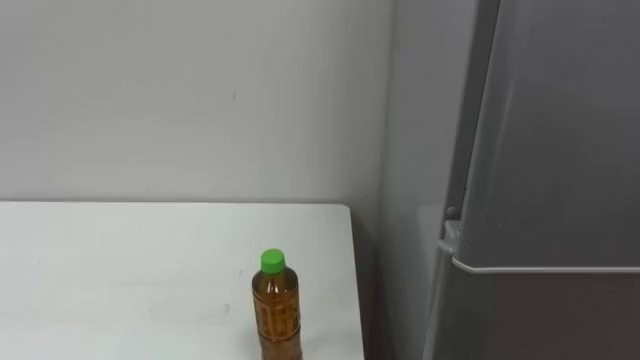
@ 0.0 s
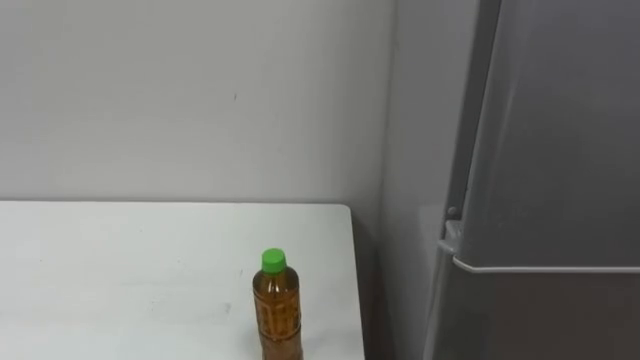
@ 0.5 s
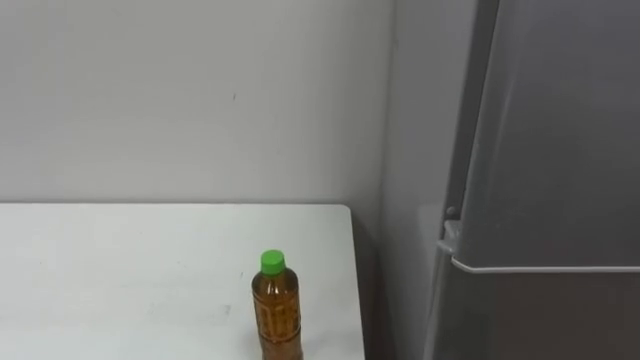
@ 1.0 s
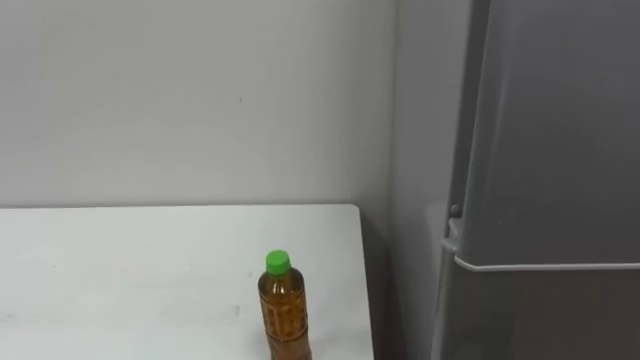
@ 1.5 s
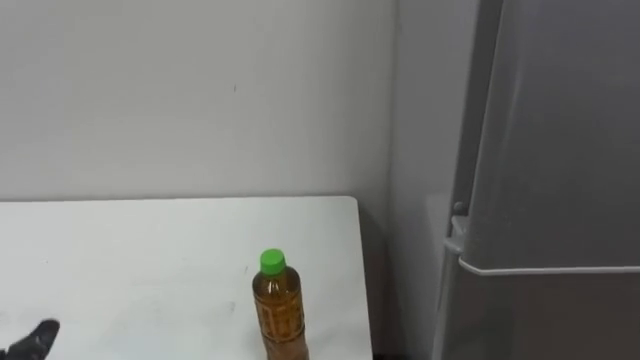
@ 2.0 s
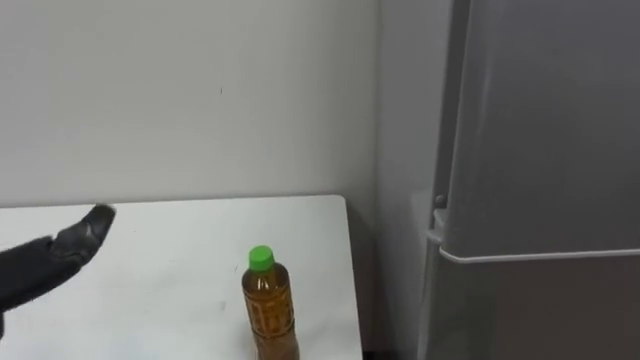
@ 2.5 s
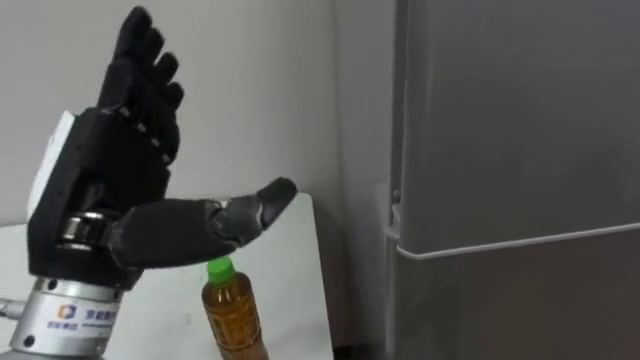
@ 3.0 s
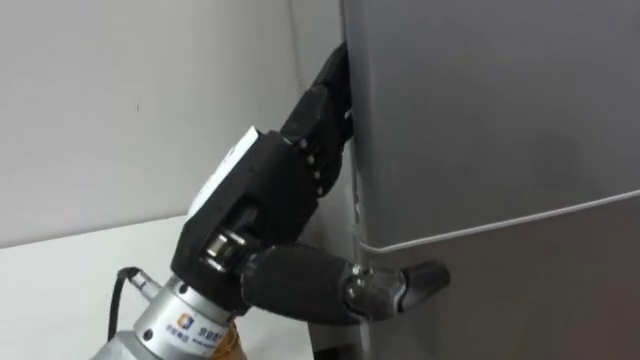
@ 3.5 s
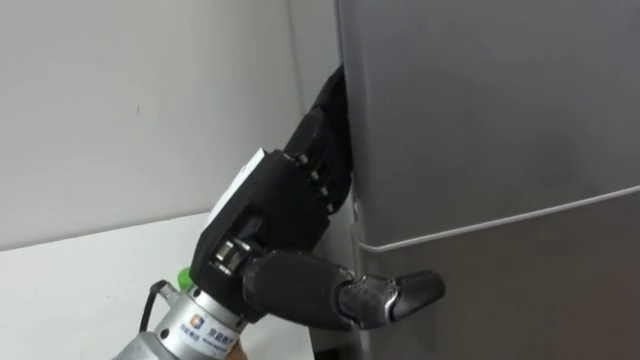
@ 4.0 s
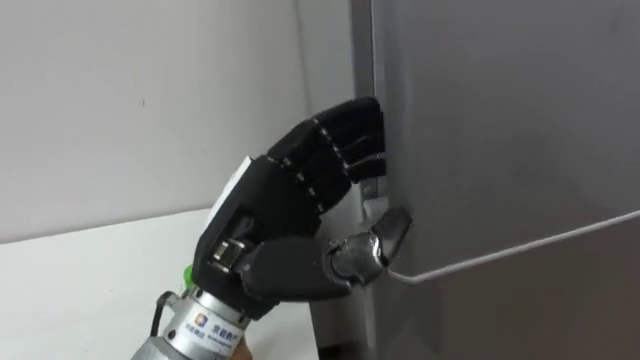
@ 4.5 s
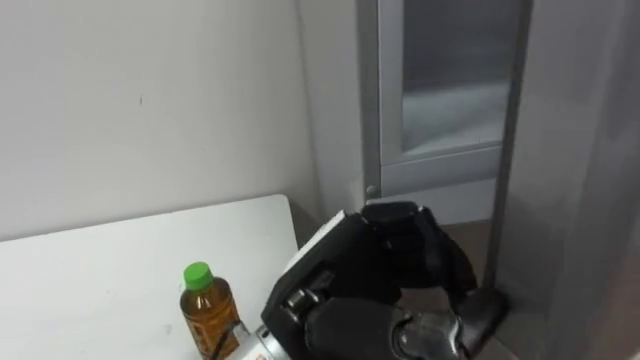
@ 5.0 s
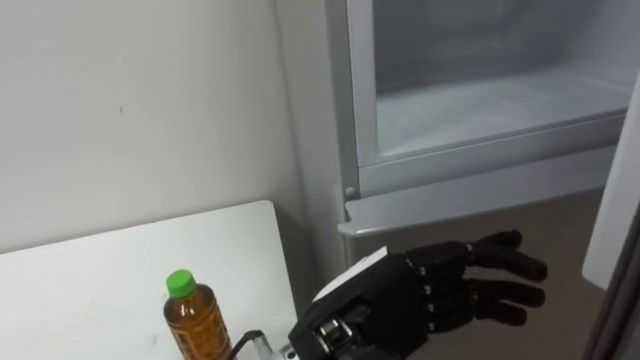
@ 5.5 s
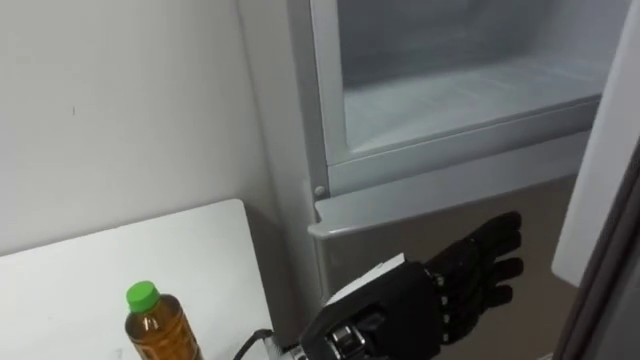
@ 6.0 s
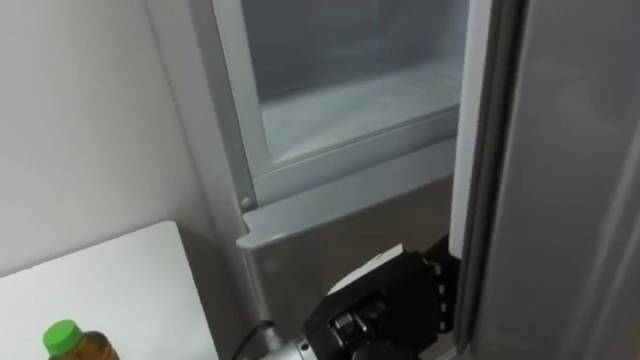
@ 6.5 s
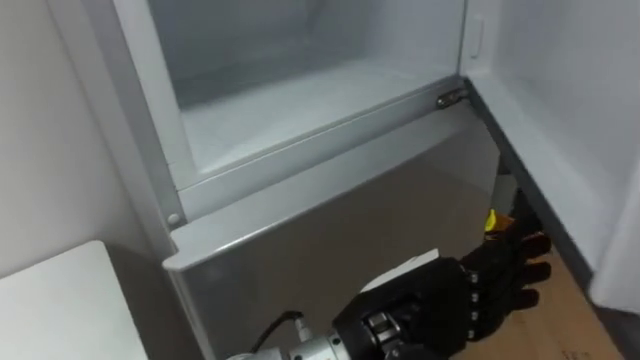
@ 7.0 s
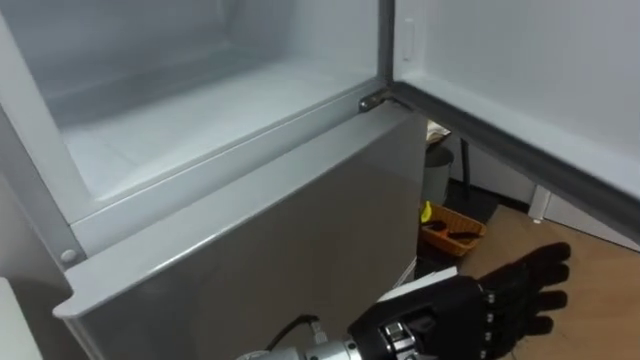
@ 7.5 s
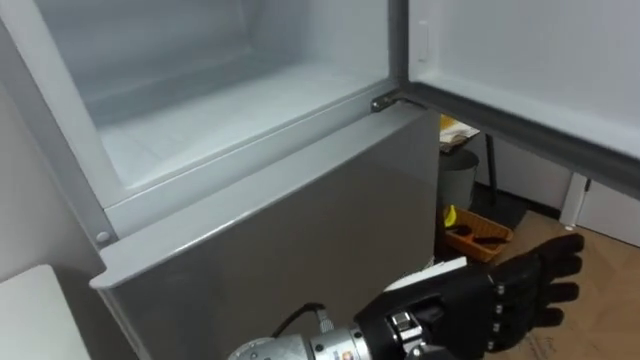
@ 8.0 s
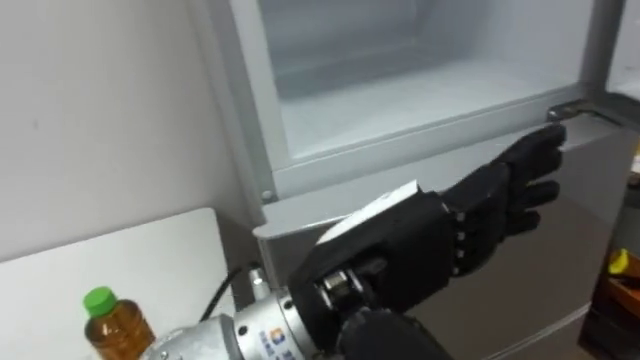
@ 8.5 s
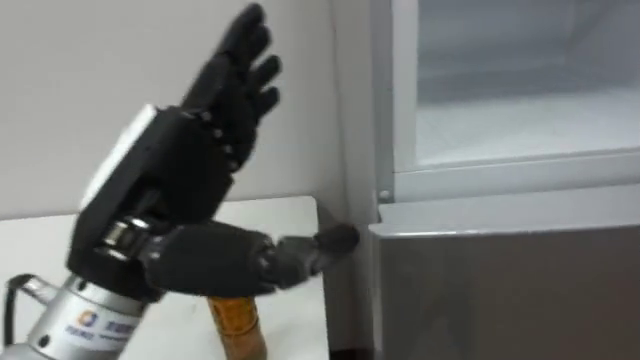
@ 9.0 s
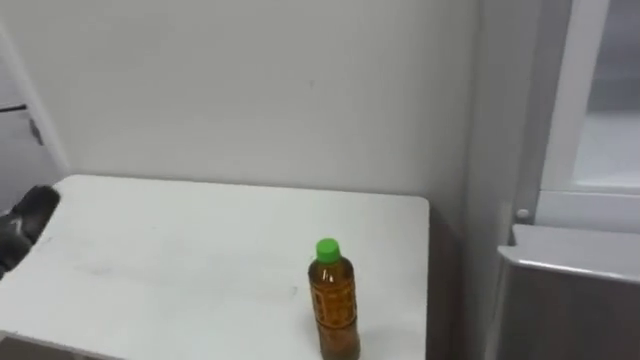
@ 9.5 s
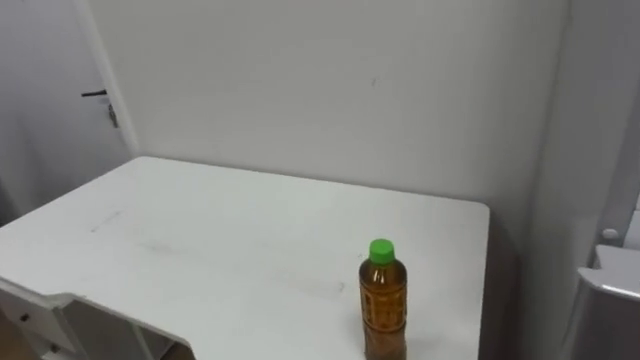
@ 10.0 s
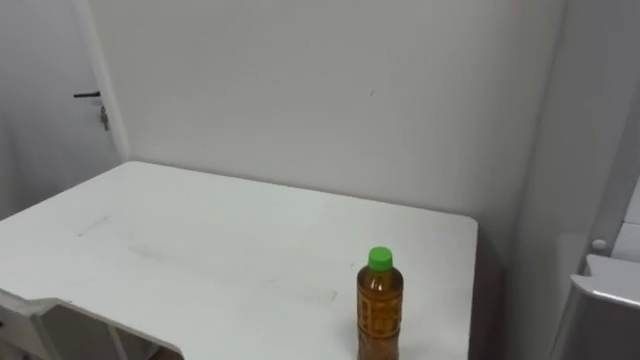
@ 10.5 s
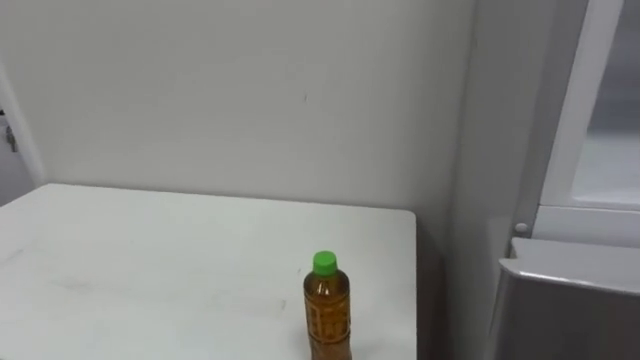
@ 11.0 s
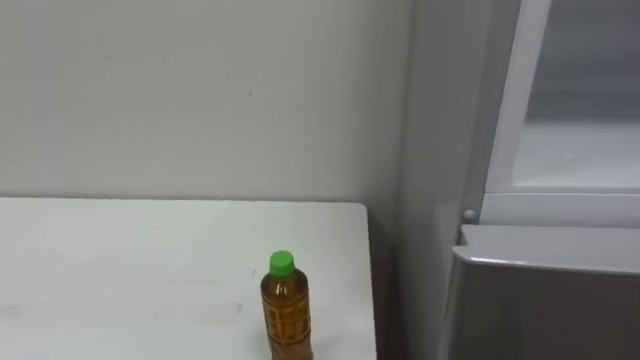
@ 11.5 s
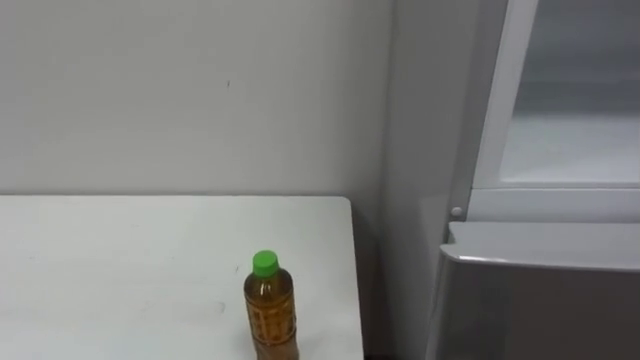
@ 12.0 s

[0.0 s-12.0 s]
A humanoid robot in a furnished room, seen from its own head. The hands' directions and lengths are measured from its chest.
Task of the whole recording: Open the upper refrigerator door, put the drink from the table into the refrigerator, and then close the refrigerator door.
4.0 to 6.0 s: The left hand shifts approximately 10 cm to the right and downward, and closes, then reopens.
6.0 to 8.0 s: The robot faces approximately 20 degrees further to its right.

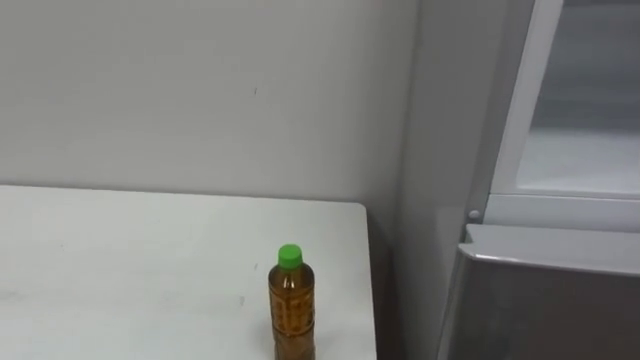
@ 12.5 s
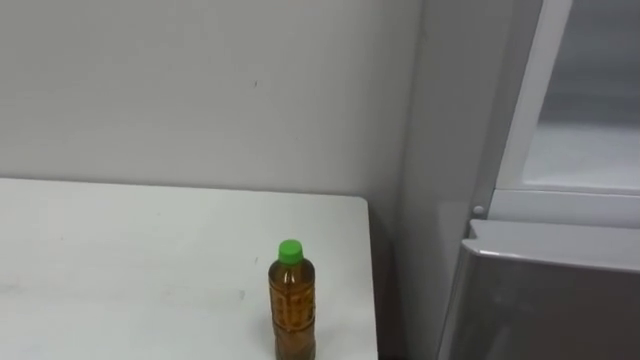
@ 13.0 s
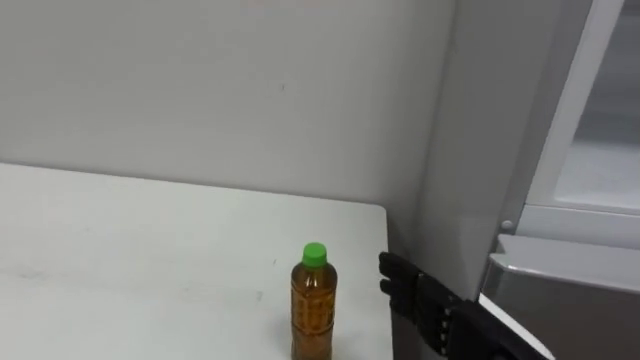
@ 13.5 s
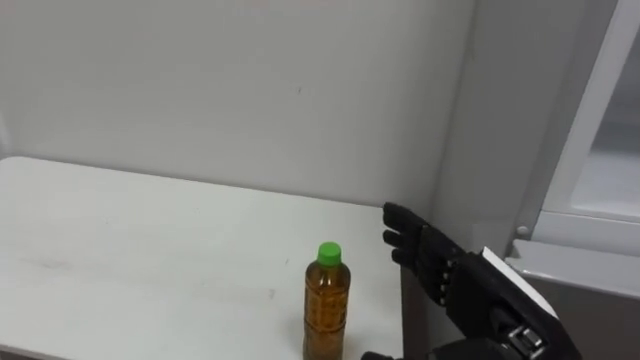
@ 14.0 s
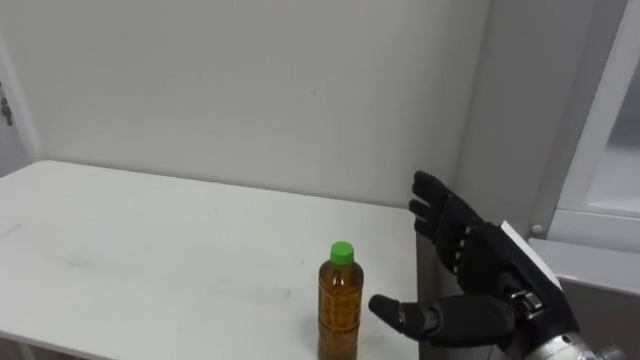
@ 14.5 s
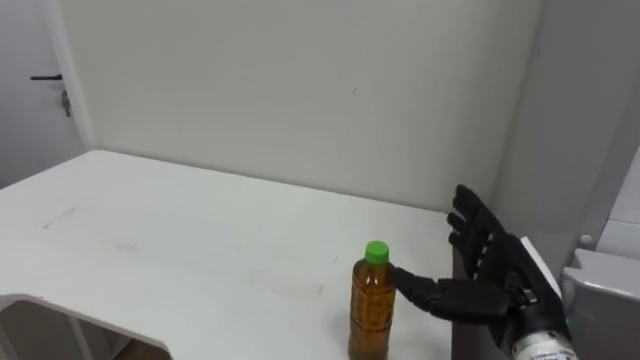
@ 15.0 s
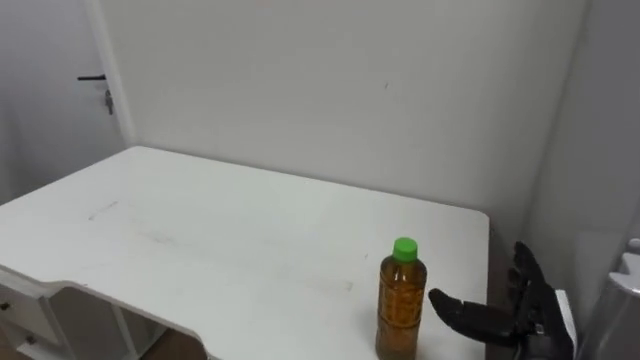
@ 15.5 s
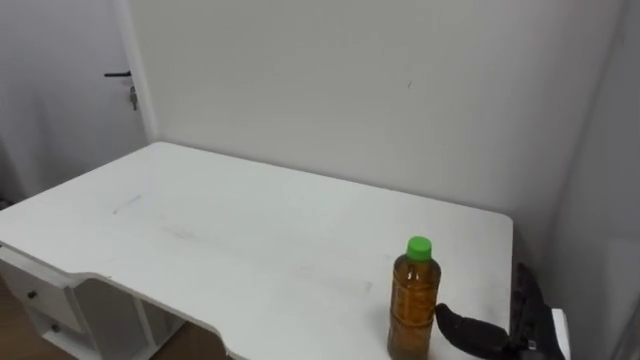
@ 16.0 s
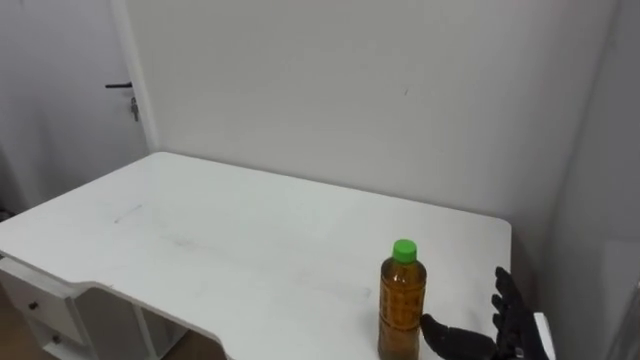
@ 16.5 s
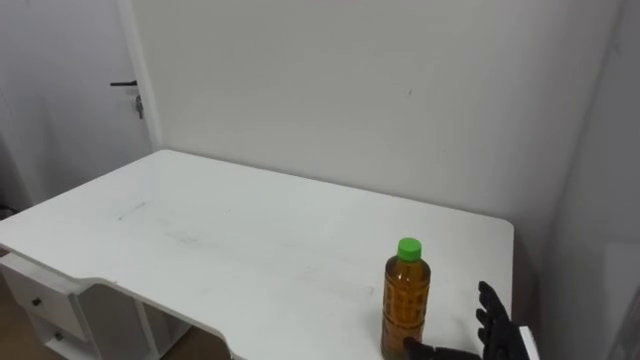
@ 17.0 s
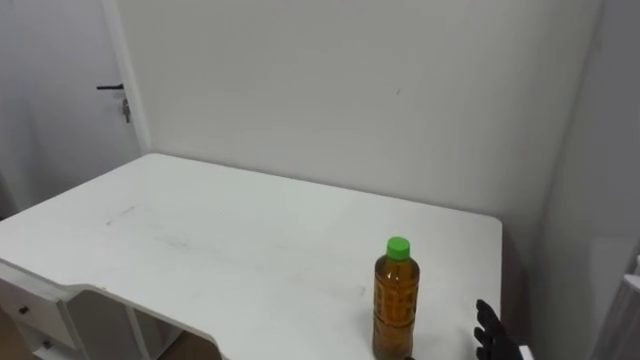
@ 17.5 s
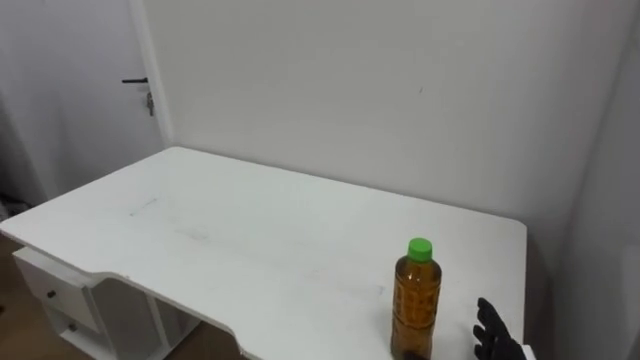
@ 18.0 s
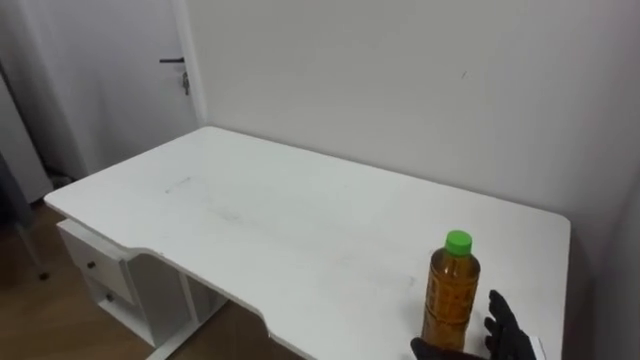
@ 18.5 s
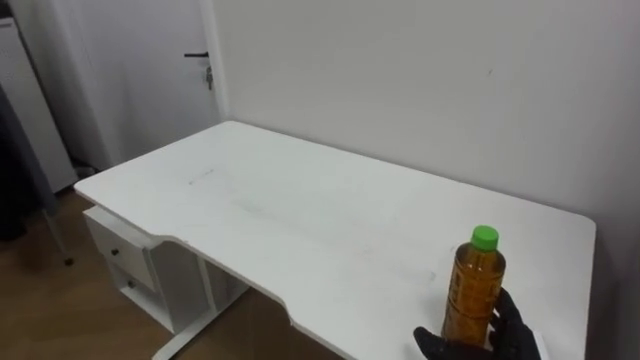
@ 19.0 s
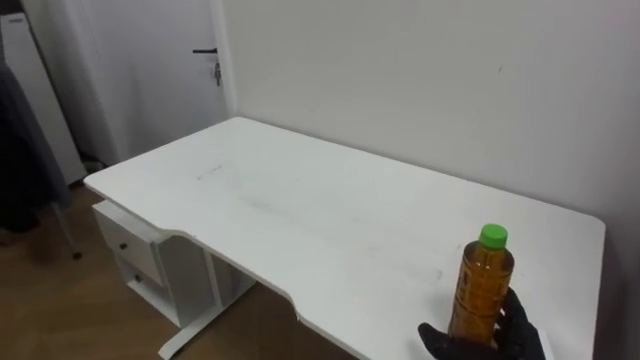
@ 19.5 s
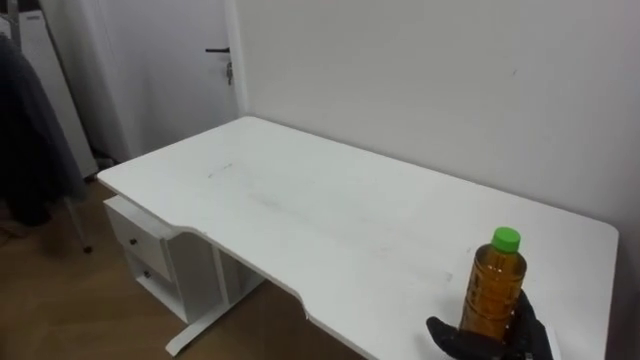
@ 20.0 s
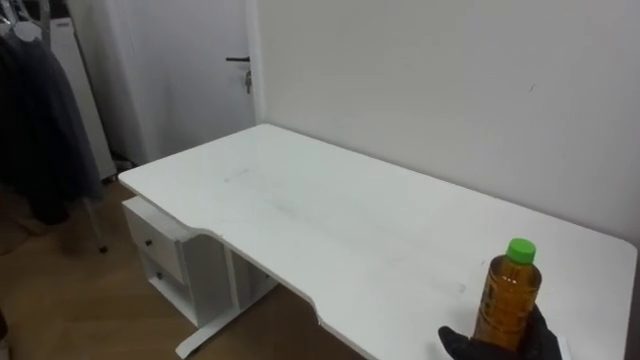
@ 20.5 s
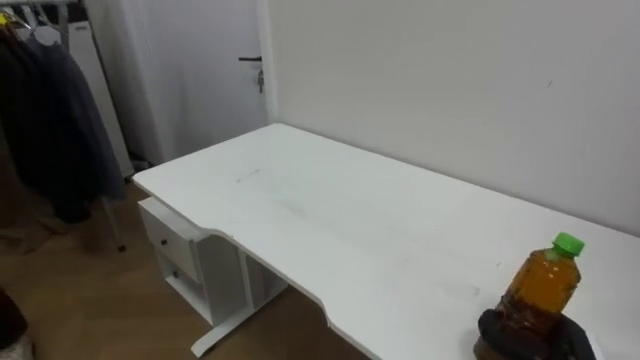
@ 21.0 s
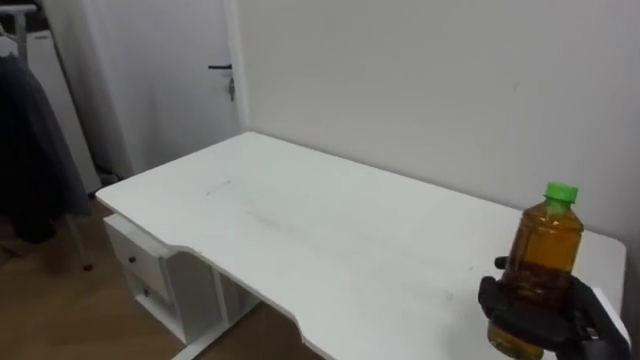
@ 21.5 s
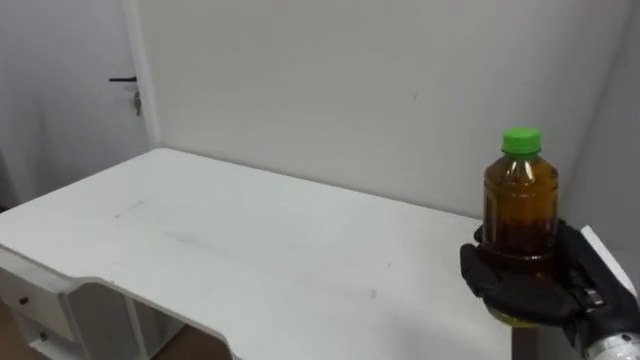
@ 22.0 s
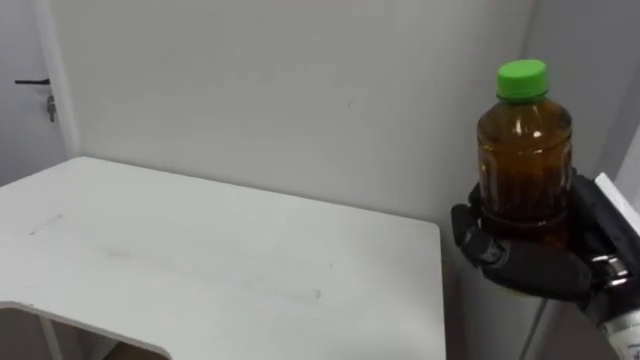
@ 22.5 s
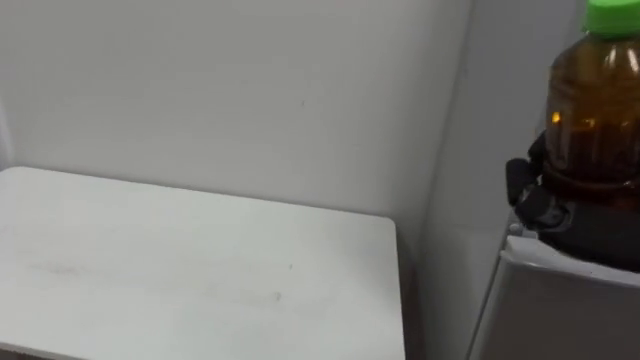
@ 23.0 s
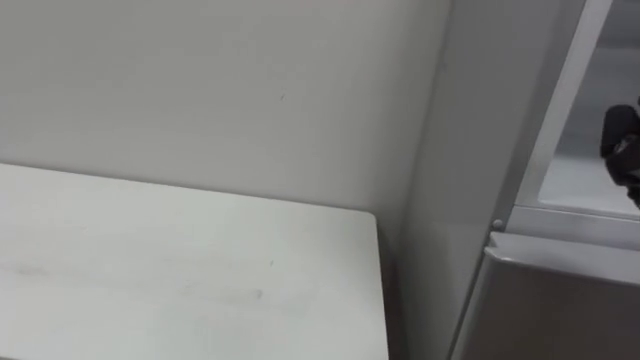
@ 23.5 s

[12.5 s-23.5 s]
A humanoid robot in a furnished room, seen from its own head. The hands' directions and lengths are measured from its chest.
Task of the whole recording: Open the upper refrigerator door, put the drink from the table into the refrigerator, and then close the refrigerator door.
14.5 to 16.0 s: The right hand goes about 15 cm downward and to the right.
